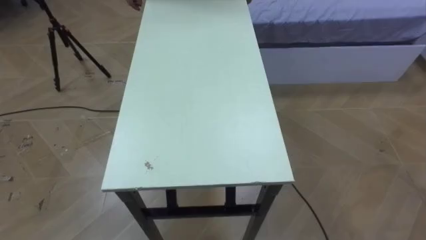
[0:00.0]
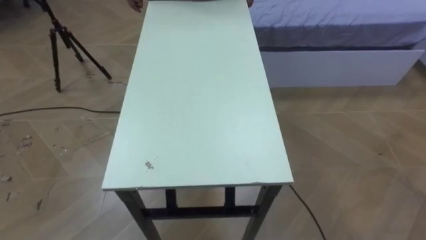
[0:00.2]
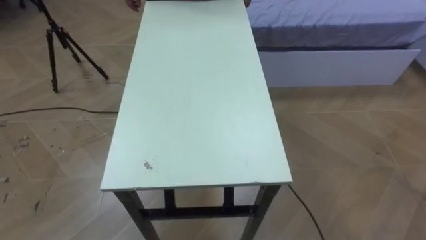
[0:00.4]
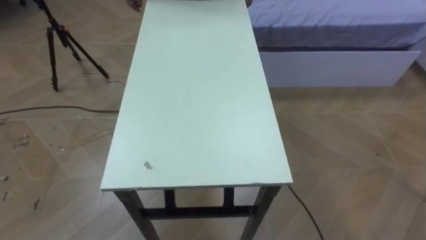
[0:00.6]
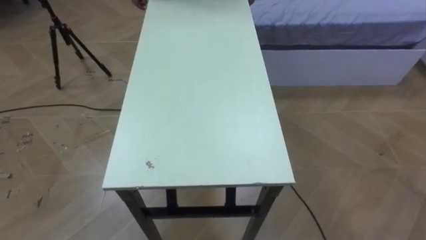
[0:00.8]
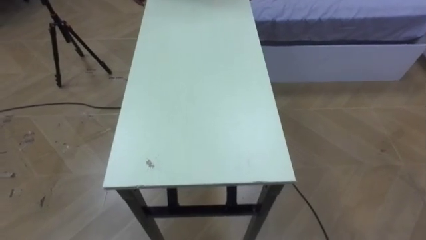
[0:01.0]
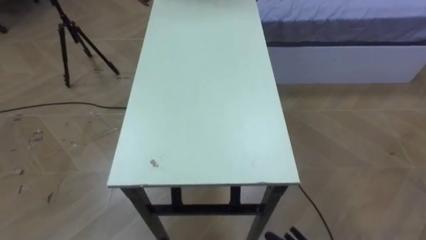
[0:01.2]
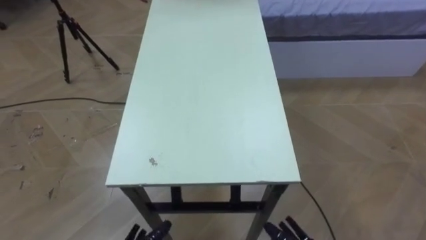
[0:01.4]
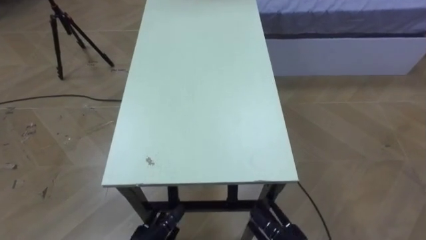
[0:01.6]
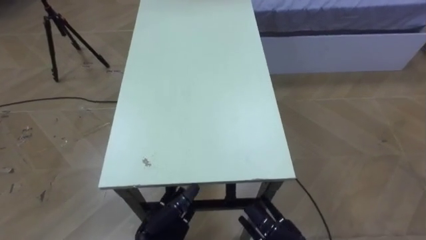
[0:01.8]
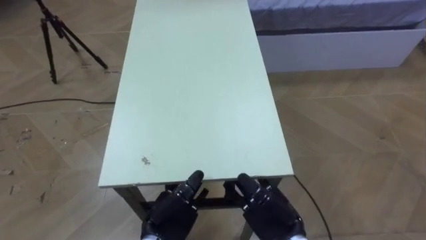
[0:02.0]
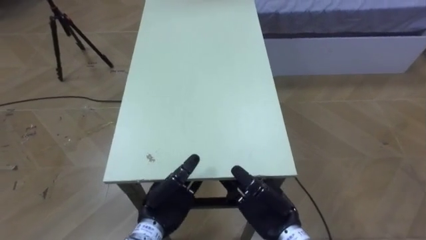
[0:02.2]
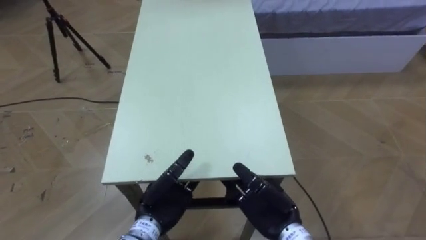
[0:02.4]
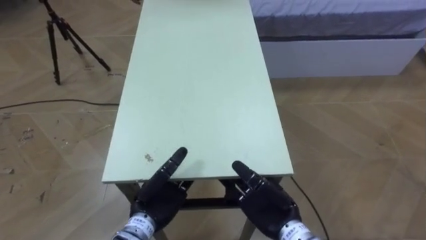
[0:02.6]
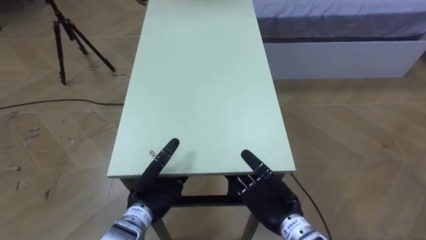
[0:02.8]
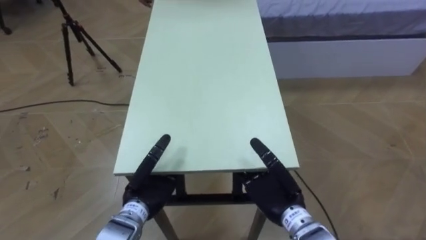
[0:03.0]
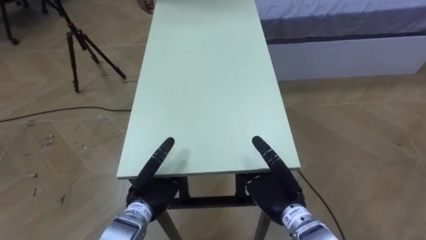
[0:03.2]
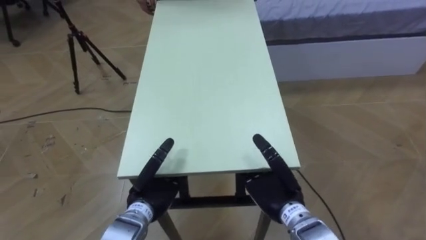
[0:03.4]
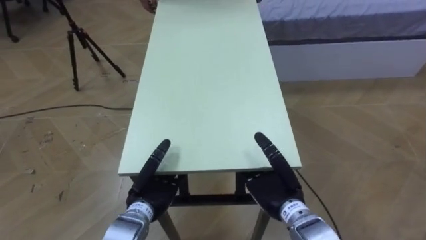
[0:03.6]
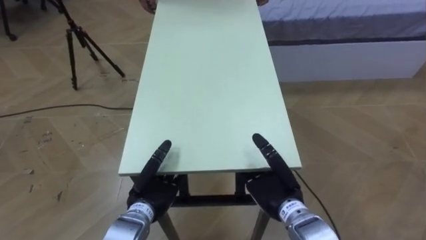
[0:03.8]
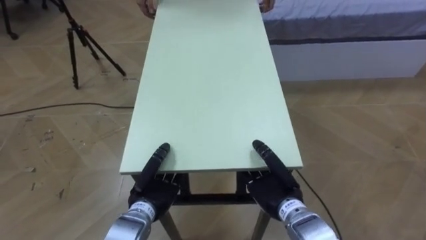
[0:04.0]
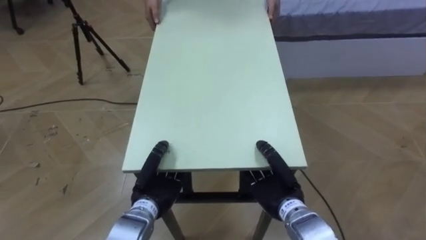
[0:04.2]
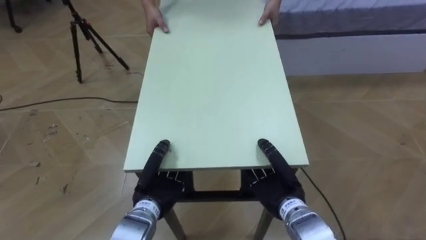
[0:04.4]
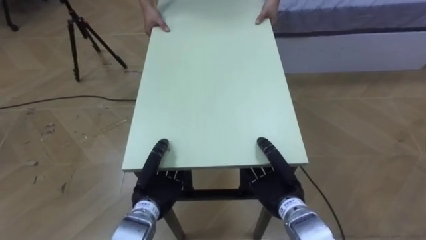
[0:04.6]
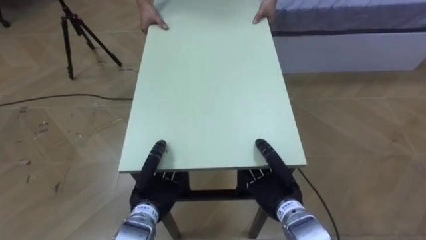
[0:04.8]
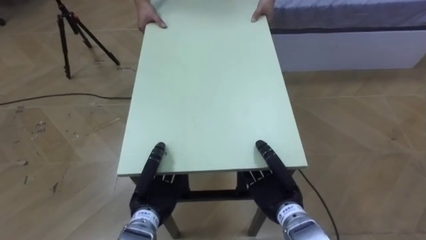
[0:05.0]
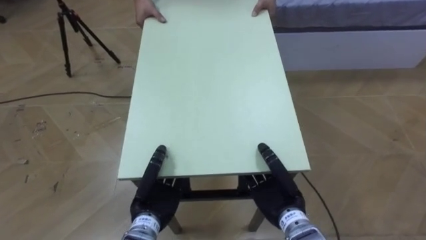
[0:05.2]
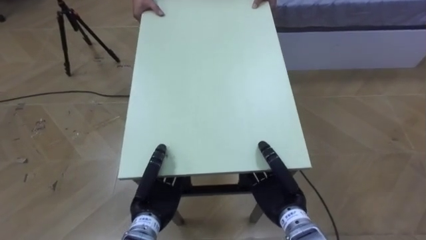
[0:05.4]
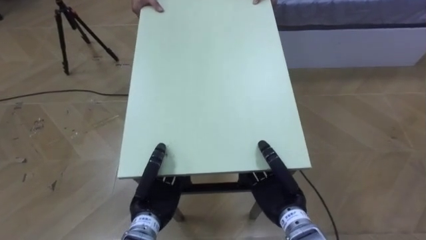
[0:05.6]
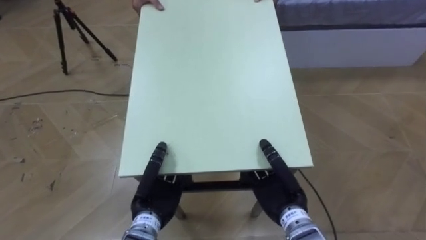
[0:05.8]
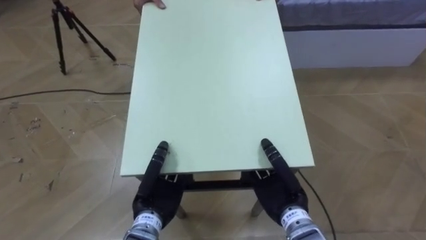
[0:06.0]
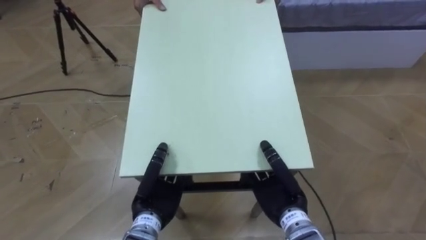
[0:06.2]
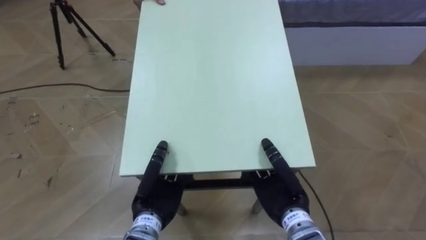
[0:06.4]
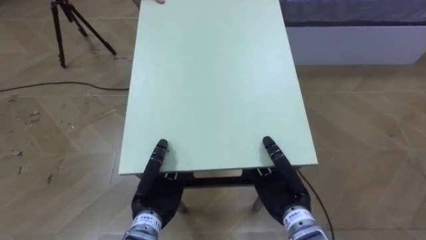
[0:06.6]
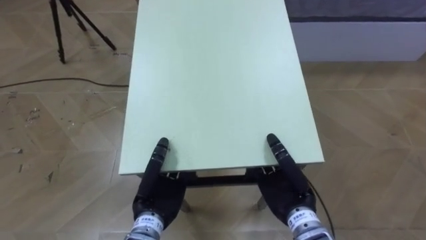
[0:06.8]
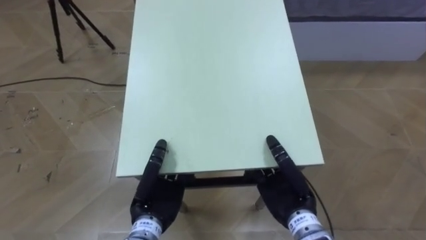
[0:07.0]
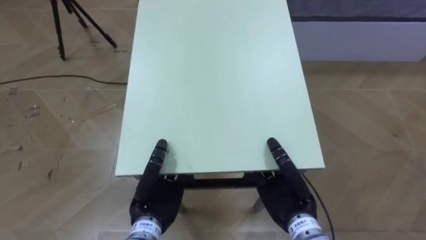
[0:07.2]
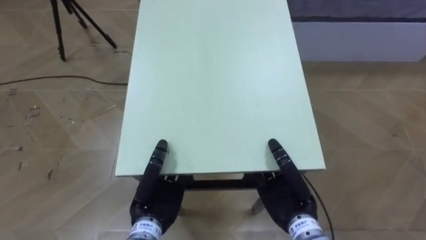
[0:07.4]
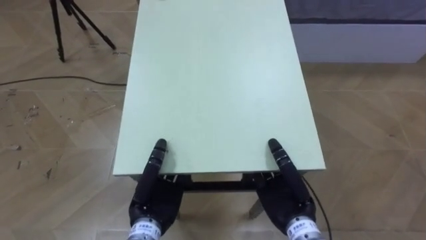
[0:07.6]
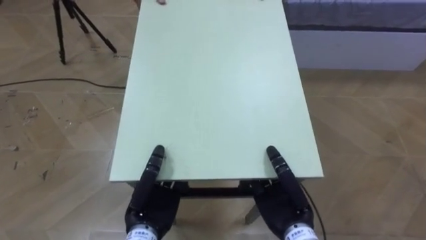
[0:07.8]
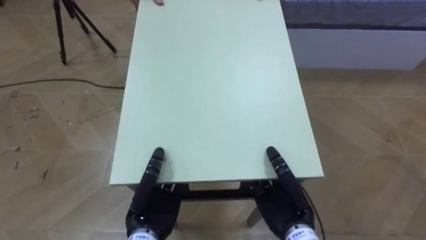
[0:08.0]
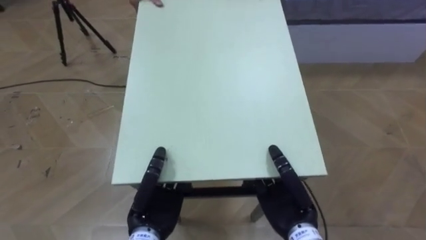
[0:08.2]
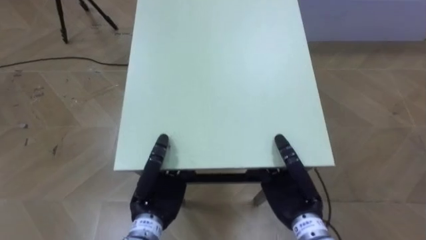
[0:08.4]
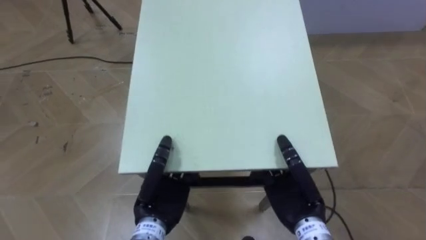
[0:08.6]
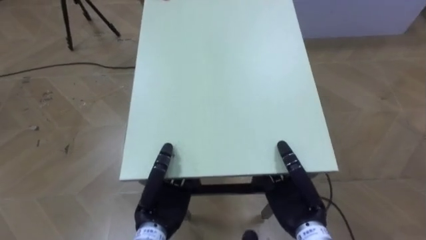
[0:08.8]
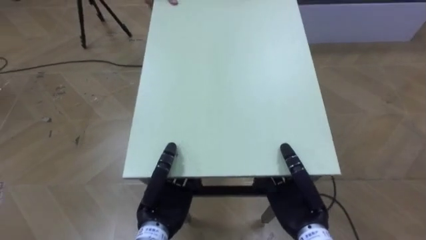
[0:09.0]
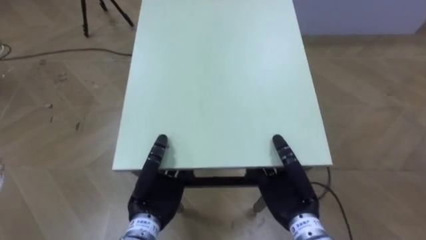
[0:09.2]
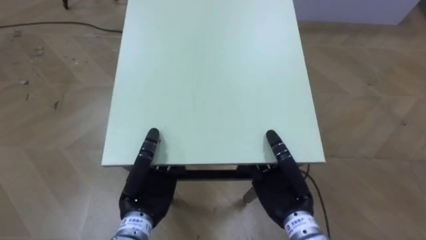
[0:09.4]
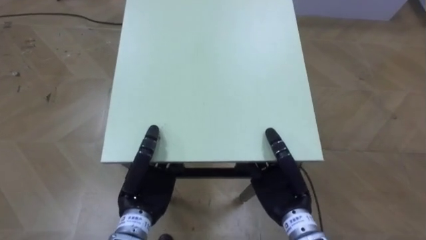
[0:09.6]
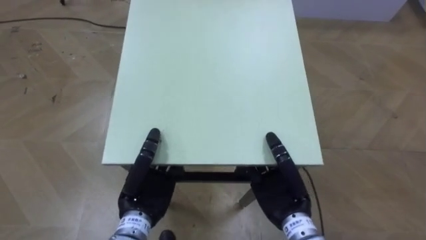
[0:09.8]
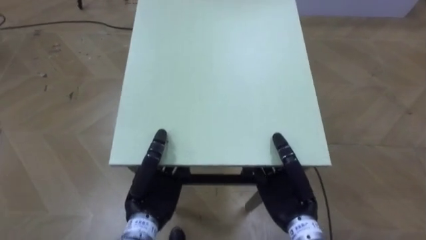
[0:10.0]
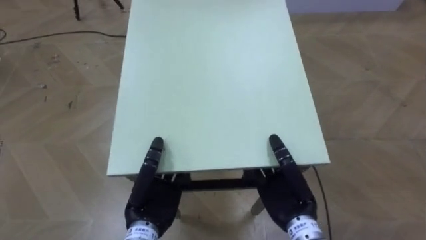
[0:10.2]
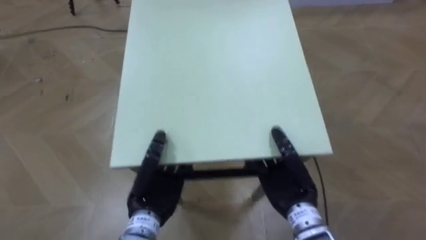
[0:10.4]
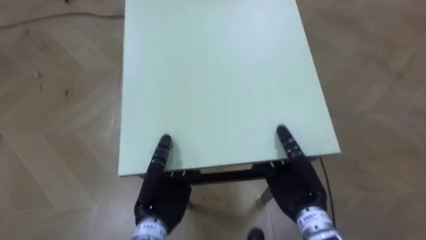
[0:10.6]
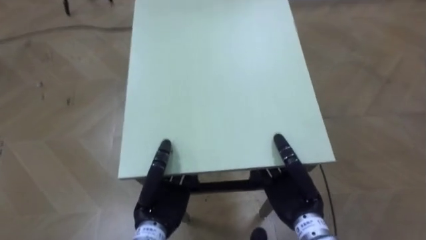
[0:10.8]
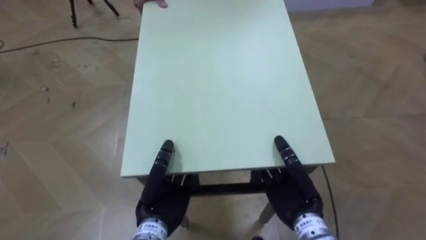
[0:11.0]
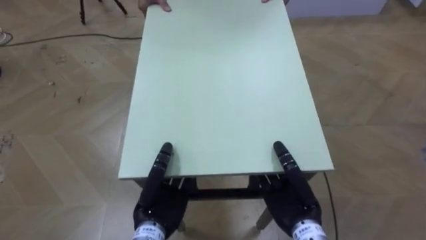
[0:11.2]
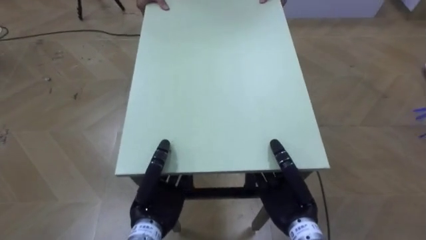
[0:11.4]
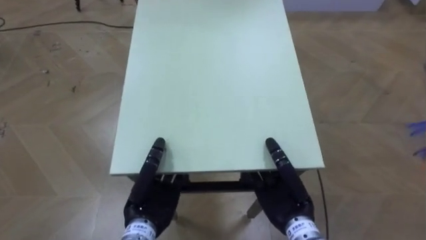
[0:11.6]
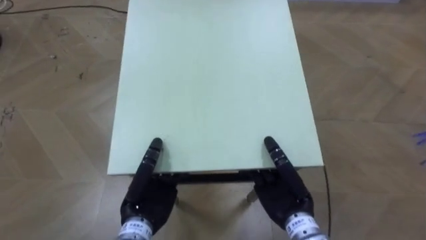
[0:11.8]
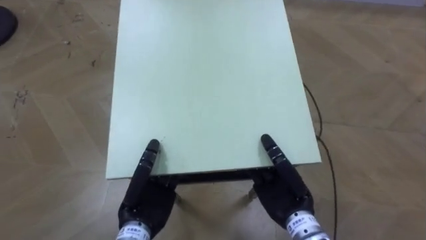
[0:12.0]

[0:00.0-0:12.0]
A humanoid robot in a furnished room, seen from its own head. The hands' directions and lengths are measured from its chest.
Task of the whole recording: Move the table to the back left with someone.
0:03.0 to 0:04.4: The right hand closes, while the left hand closes up.

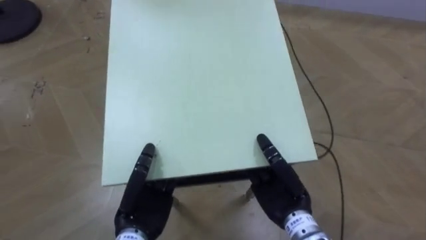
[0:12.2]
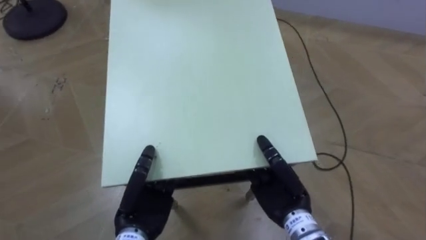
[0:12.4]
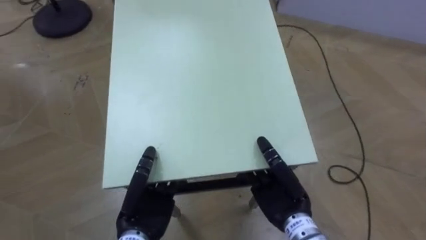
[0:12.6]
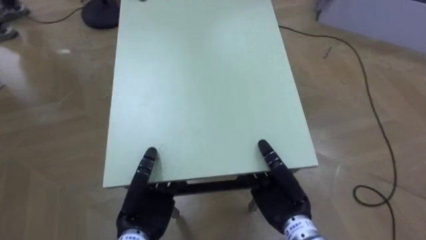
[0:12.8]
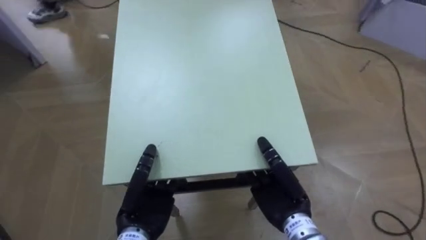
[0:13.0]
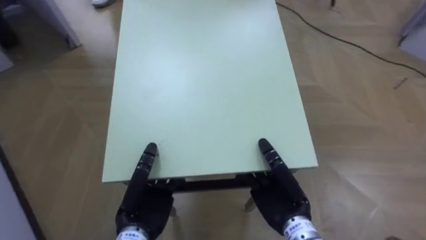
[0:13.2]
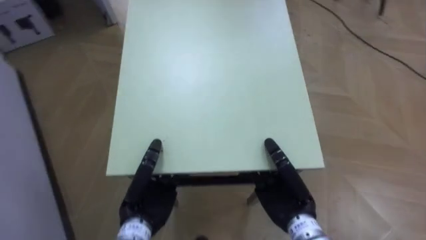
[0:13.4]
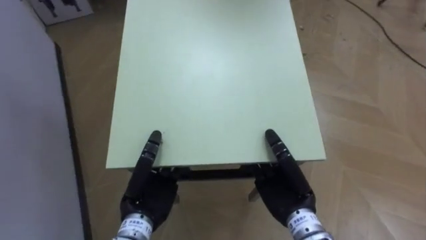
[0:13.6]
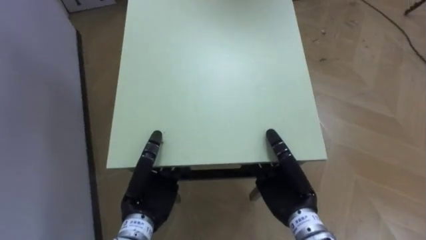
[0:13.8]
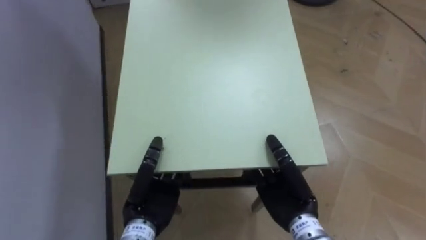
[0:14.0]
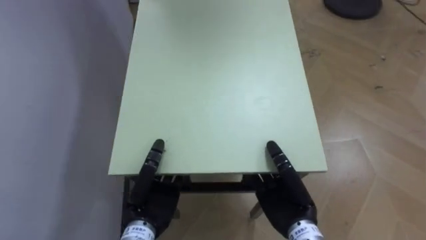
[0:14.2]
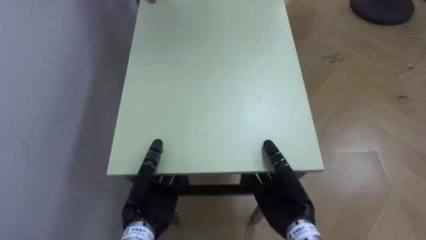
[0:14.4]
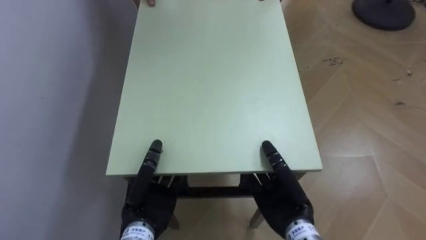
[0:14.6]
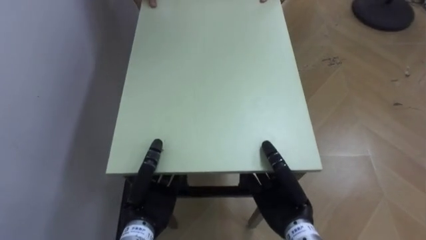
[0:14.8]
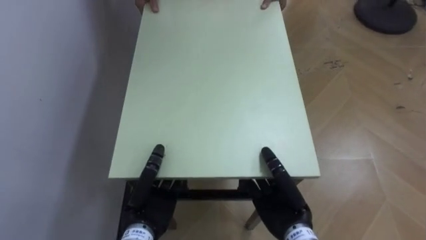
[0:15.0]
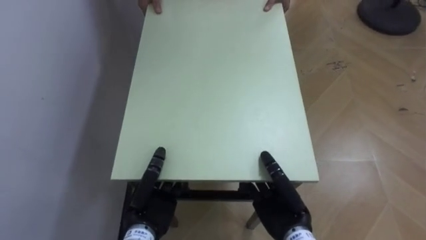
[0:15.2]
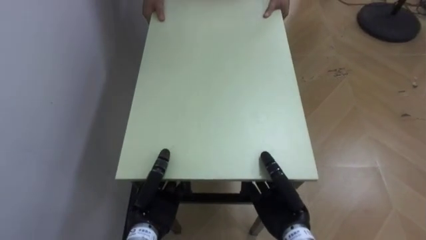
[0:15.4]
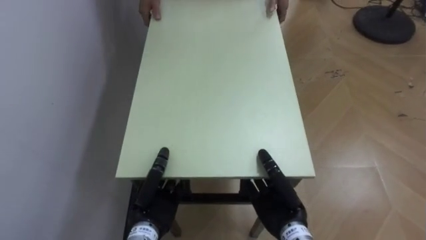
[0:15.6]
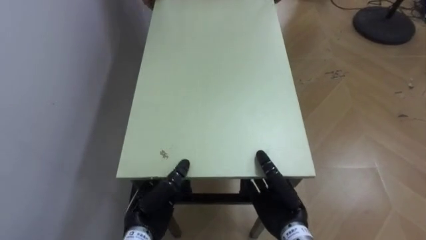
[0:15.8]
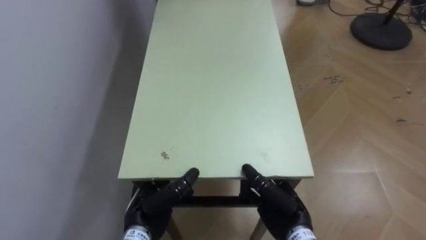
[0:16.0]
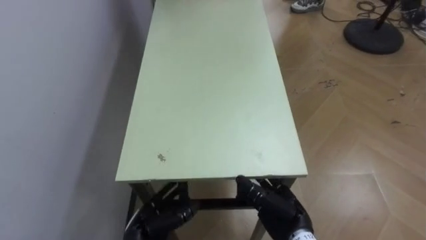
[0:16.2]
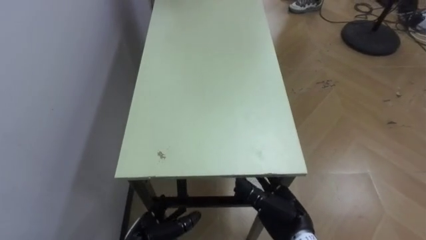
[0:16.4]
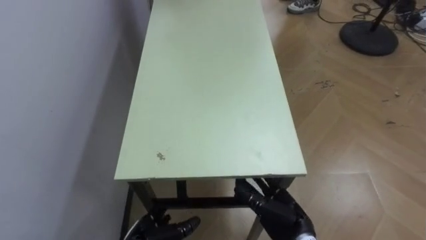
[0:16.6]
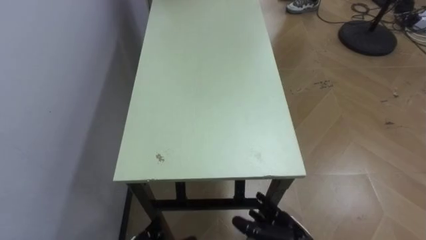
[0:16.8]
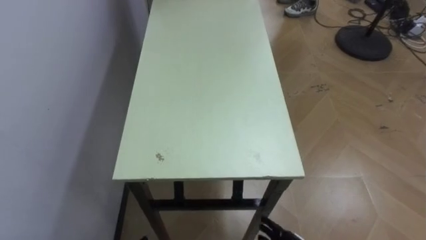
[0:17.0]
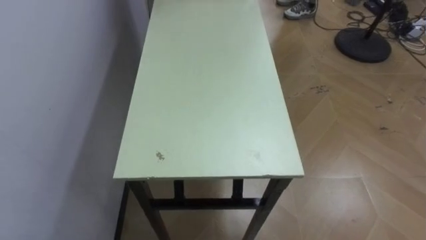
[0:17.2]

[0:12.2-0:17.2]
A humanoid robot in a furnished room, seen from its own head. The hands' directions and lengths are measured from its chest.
Task of the whole recording: Move the table to the back left with someone.
0:12.2 to 0:13.8: The robot faces approximately 65 degrees further to its left.
0:13.8 to 0:15.6: The robot's body swings roughly 15 degrees to its left. The two hands go approximately 5 cm downward.
